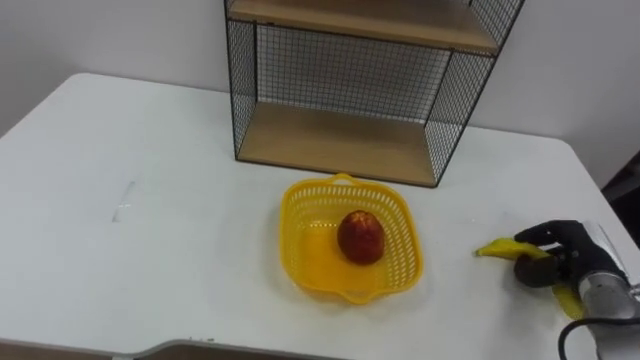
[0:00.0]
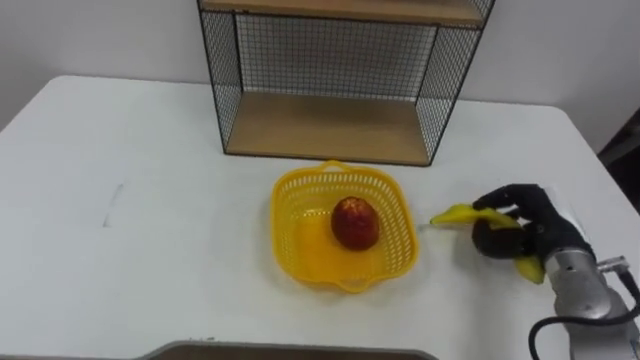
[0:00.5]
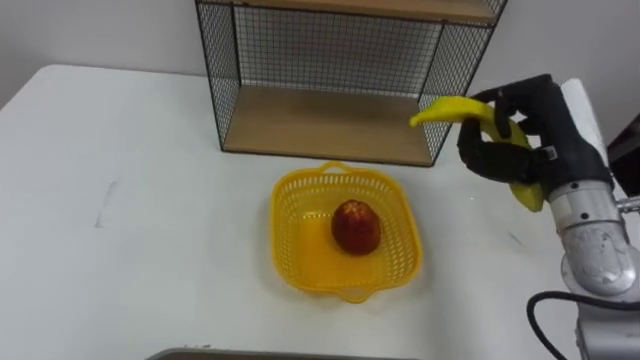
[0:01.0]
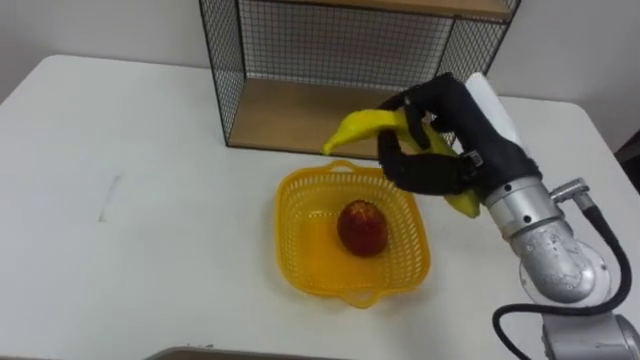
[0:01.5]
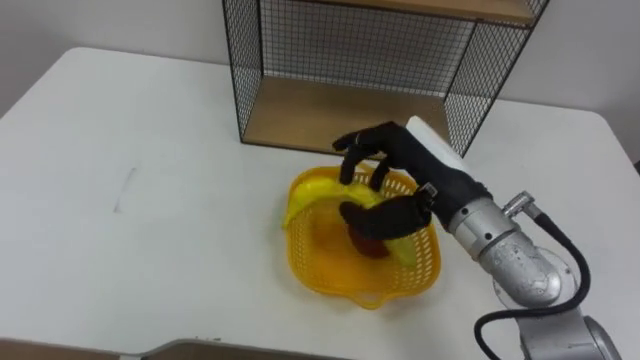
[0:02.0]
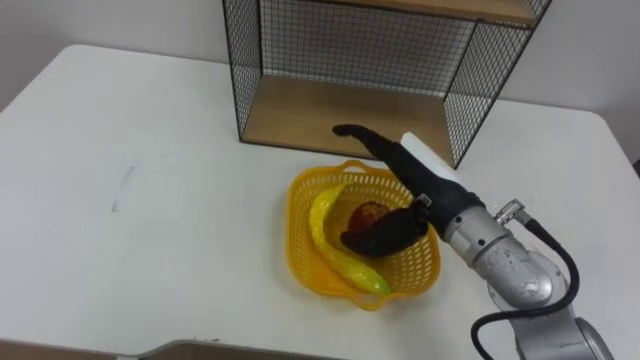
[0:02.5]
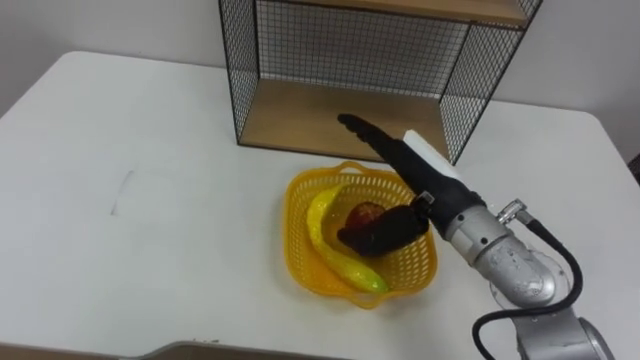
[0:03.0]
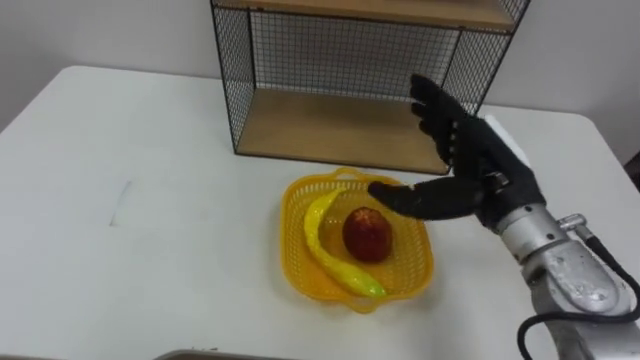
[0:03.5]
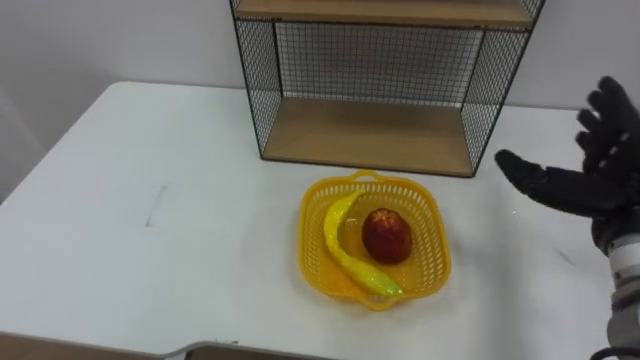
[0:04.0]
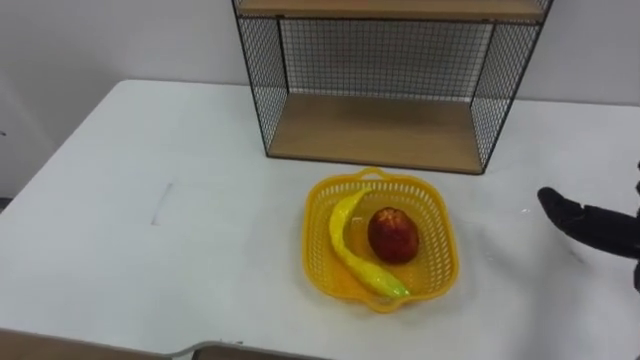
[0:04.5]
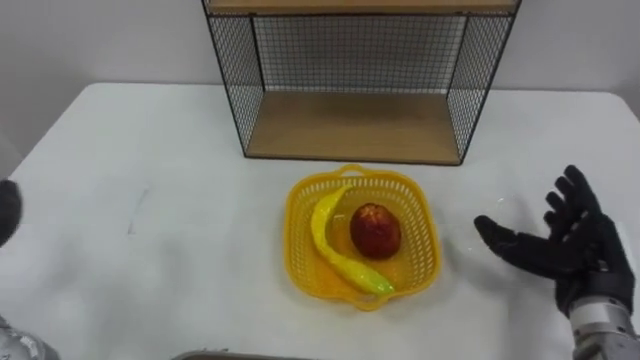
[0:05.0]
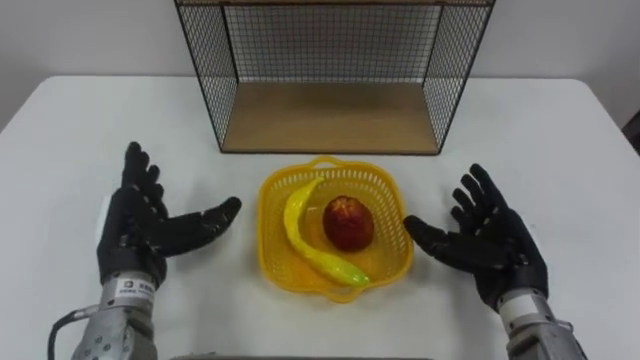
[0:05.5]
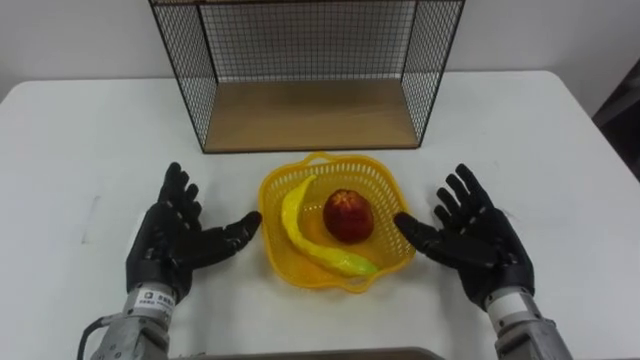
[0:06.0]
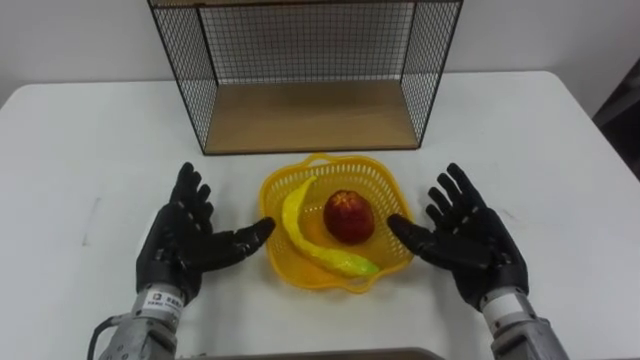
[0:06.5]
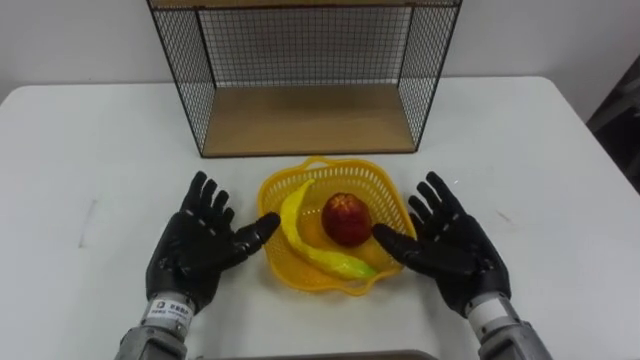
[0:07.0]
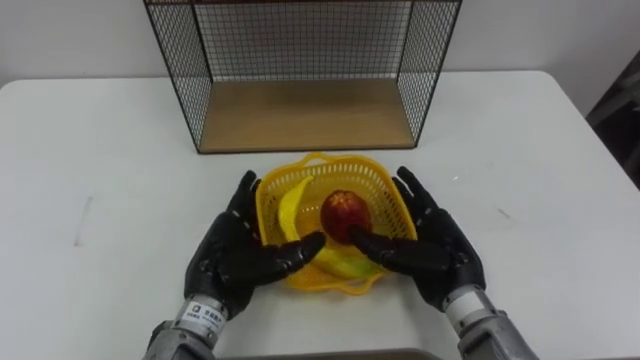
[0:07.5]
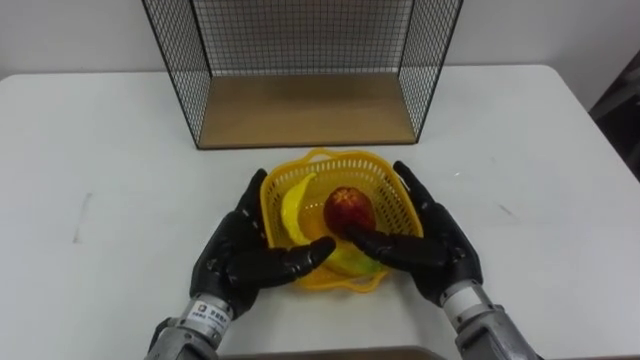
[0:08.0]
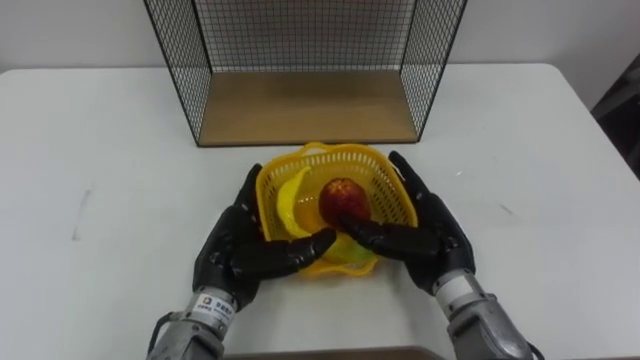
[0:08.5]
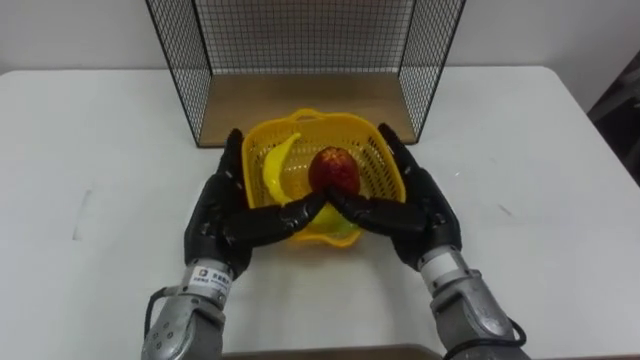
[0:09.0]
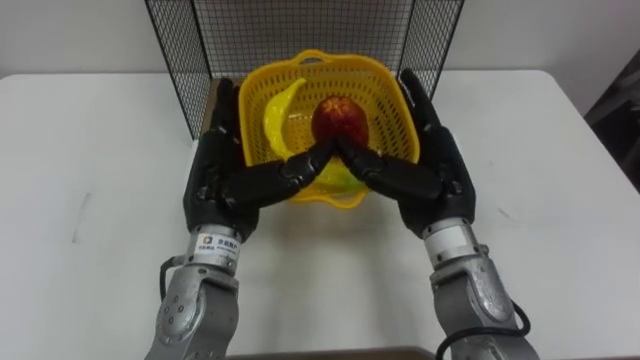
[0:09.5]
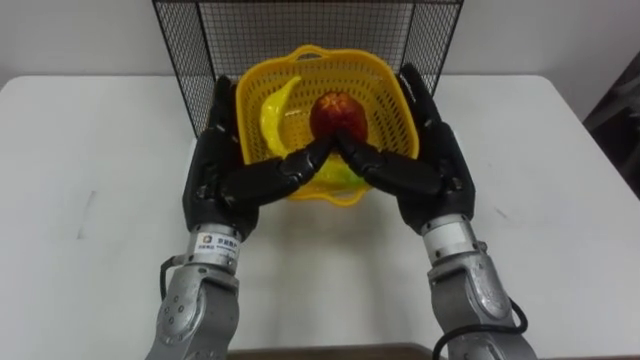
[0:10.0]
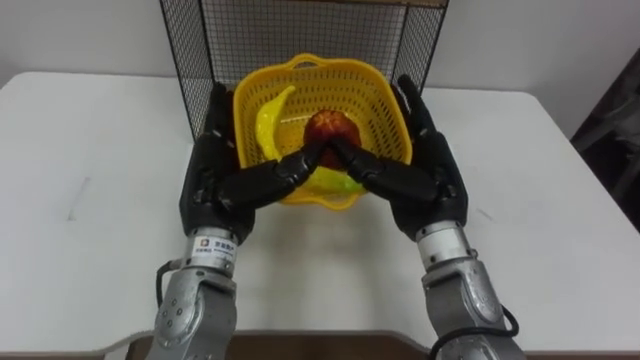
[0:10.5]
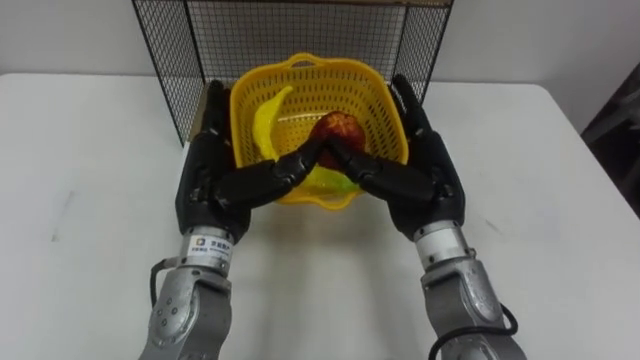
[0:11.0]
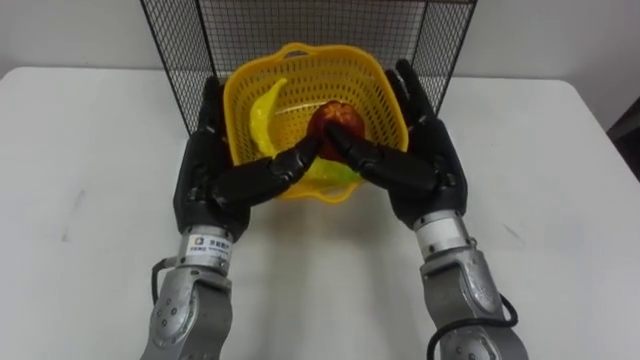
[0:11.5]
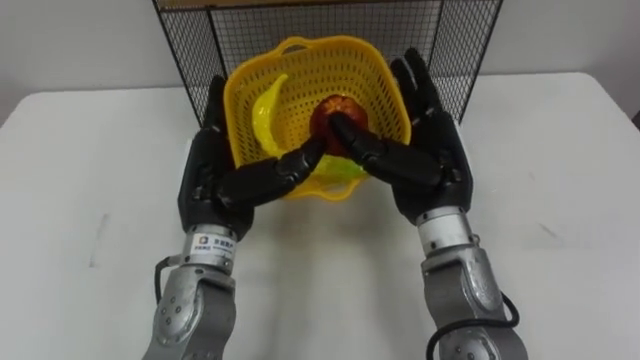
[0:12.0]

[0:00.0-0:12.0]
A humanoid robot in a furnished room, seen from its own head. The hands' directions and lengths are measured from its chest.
Task of the whole recording: Put the fruit on the table into the basket, then place the basket on the shelf.
0:00.0 to 0:02.0: The right hand heads to the left and upward, covering some 30 cm.
0:02.0 to 0:04.0: The right hand heads to the right, covering roughly 20 cm, and opens.
0:06.0 to 0:08.0: The right hand shifts about 5 cm to the left. Meanwhile the left hand is displaced to the right by some 10 cm.
0:08.0 to 0:10.0: Both hands move upward, roughly 10 cm.

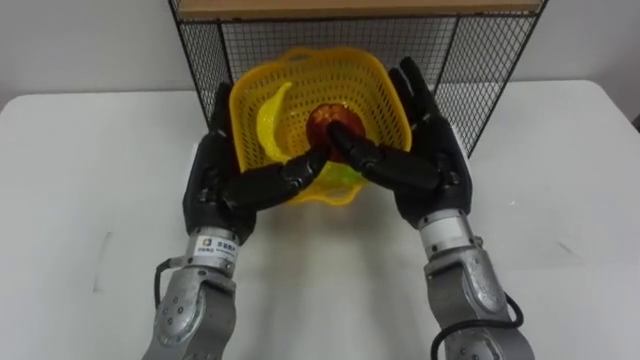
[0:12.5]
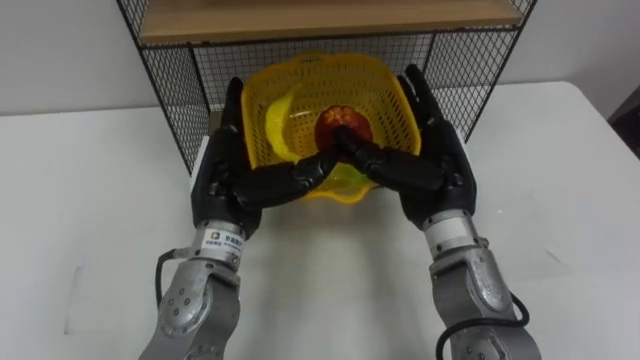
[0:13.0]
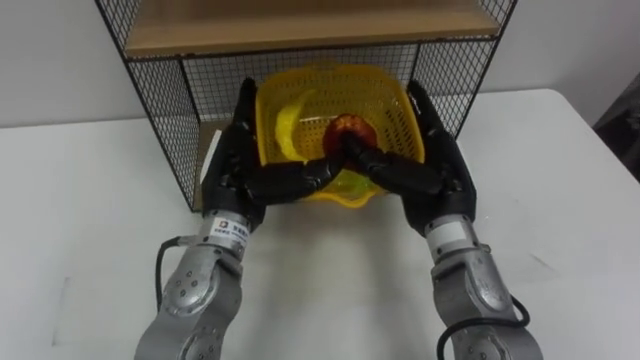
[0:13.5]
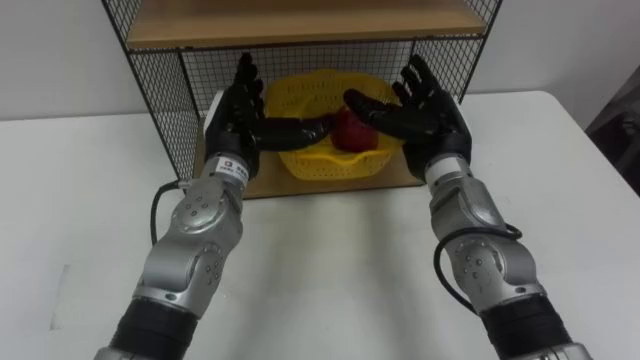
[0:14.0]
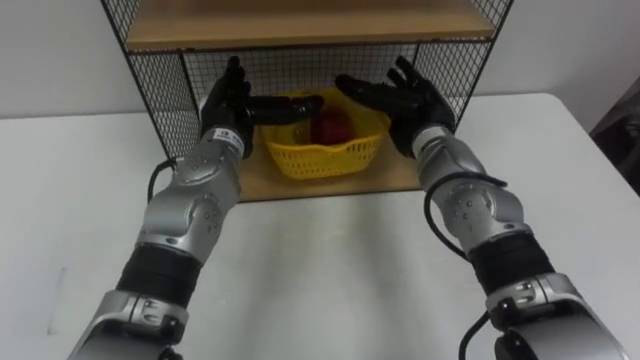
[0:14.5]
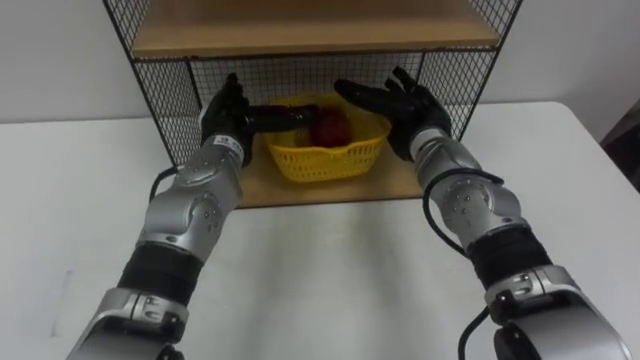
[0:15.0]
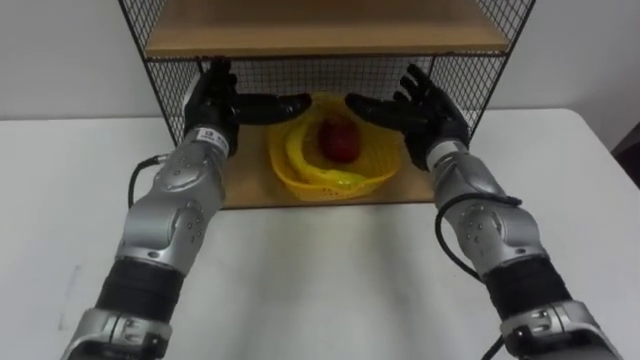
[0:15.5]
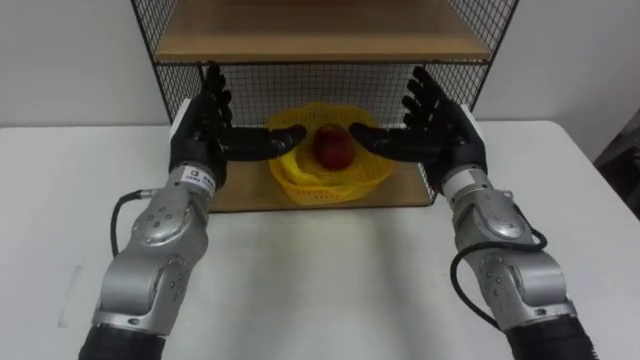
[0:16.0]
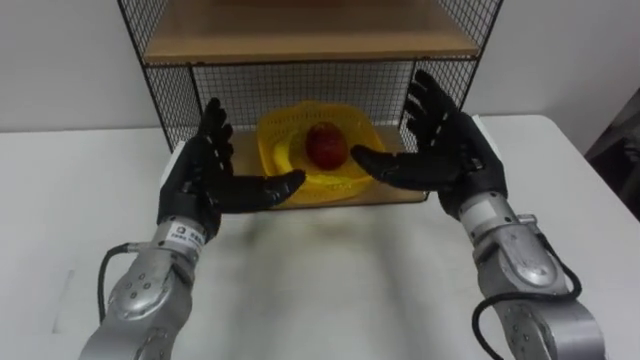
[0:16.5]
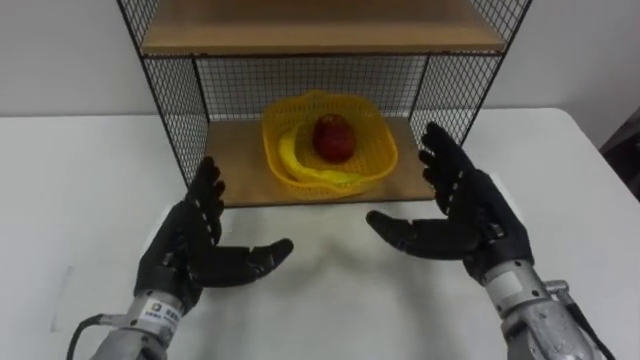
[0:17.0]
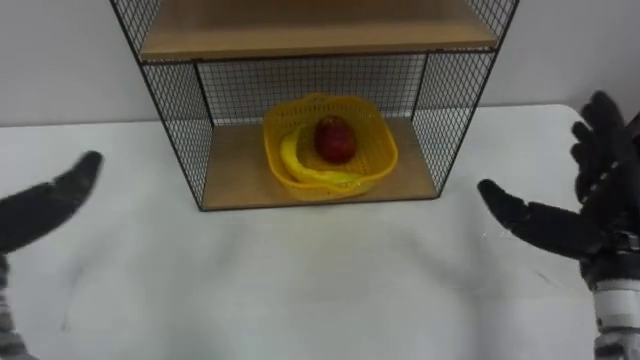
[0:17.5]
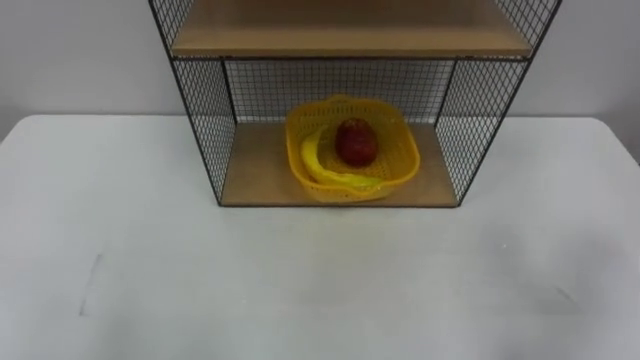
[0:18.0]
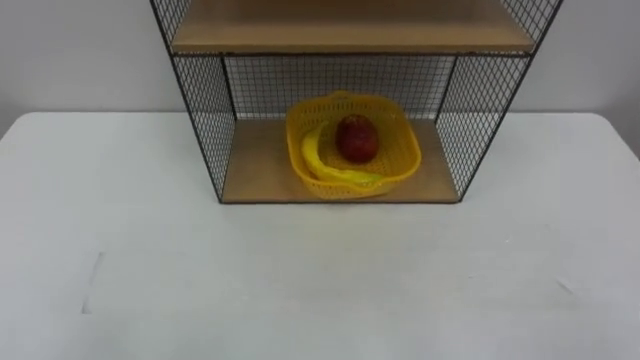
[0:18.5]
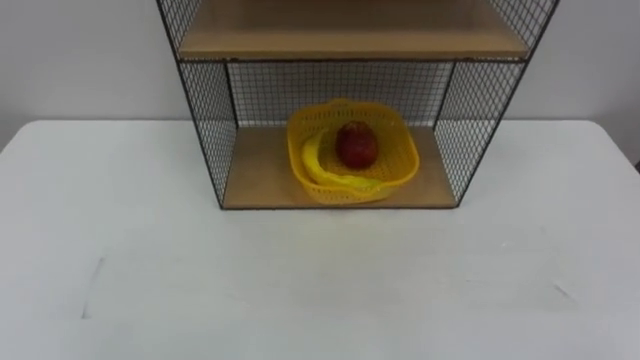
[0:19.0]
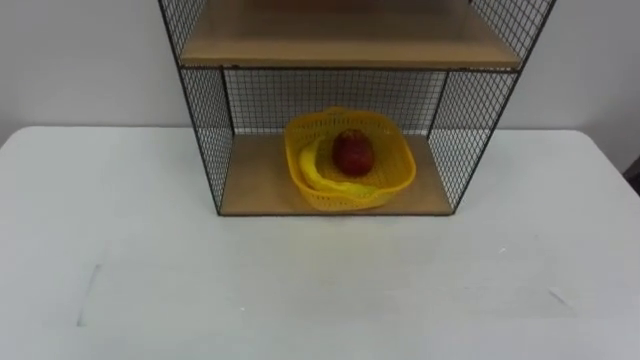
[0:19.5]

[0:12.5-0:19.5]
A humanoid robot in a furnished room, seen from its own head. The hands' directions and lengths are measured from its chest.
Task of the whole recording: Put the fruit on the table into the basket, then place the basket on the shelf.
0:12.5 to 0:14.5: The hands both shift forward by roughly 10 cm.
0:14.5 to 0:16.0: The right hand moves backward, about 5 cm, while the left hand changes place by some 5 cm.
0:16.0 to 0:17.5: The right hand shifts about 20 cm backward and to the right.
